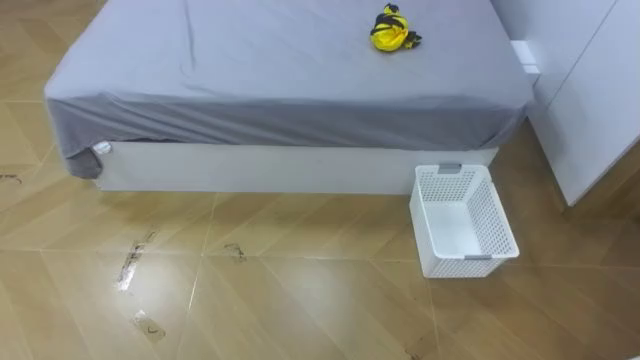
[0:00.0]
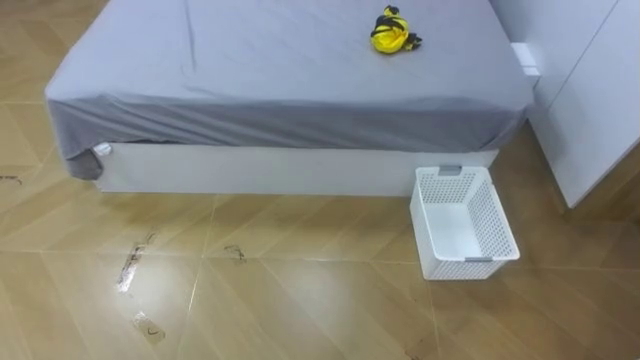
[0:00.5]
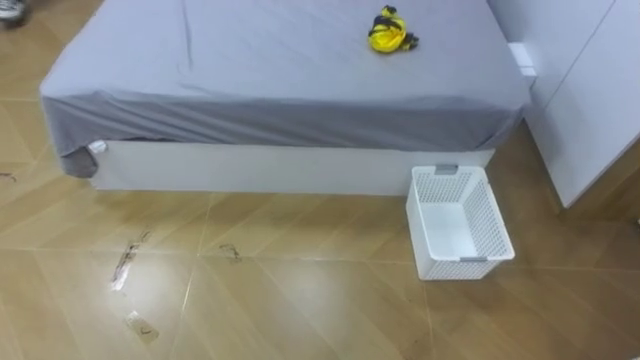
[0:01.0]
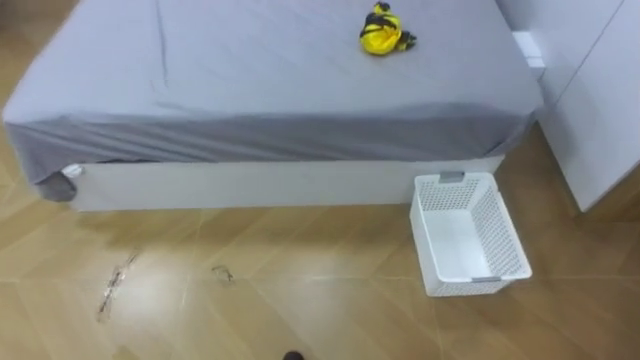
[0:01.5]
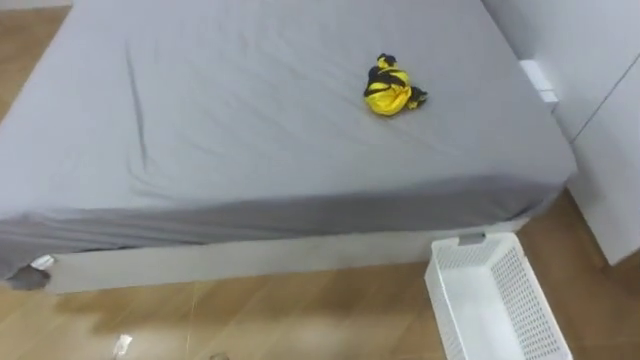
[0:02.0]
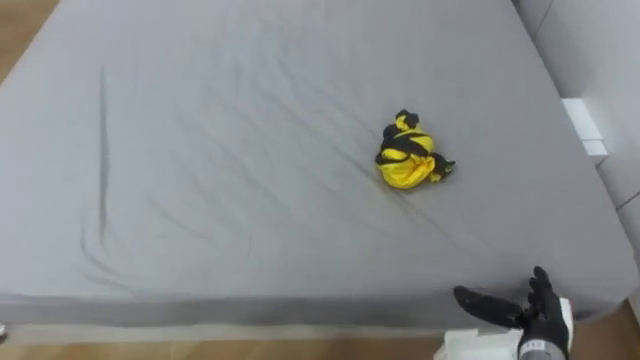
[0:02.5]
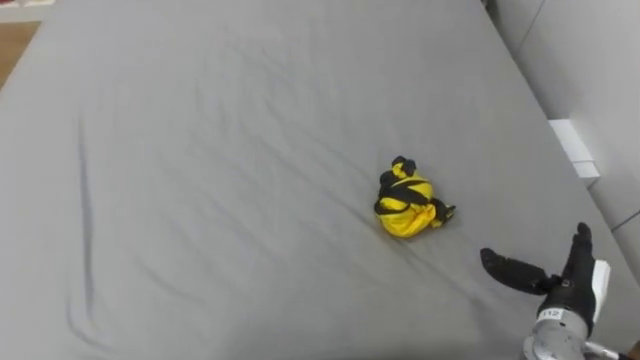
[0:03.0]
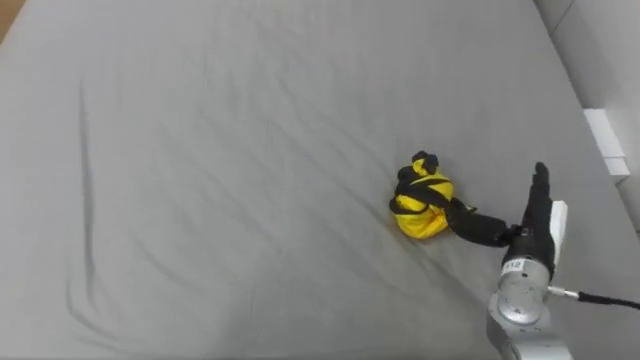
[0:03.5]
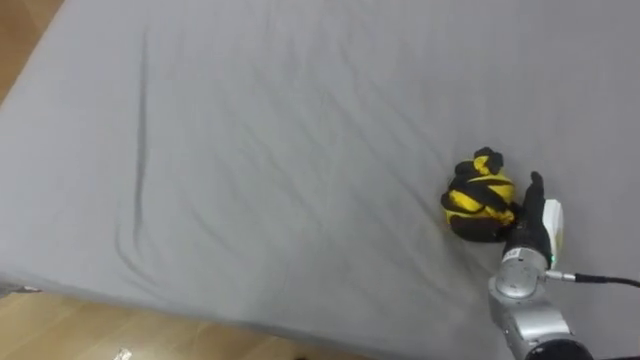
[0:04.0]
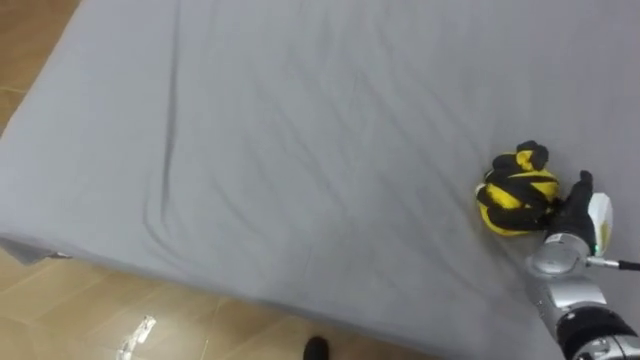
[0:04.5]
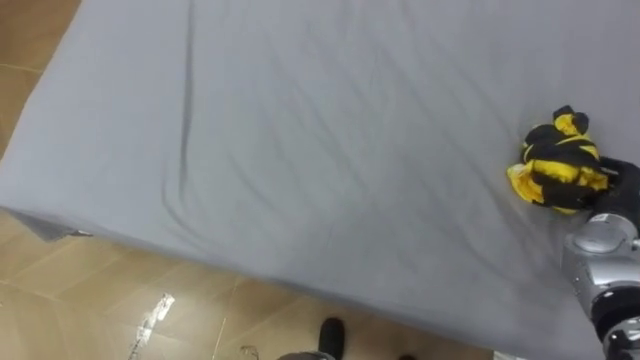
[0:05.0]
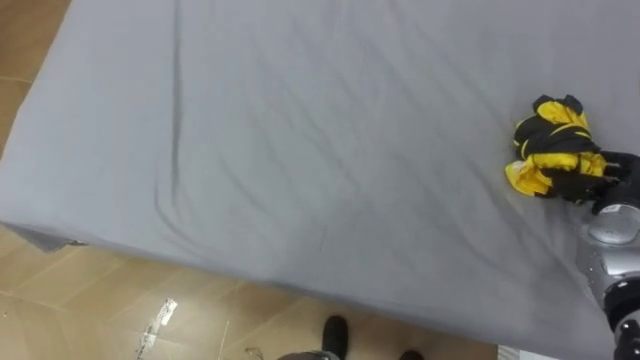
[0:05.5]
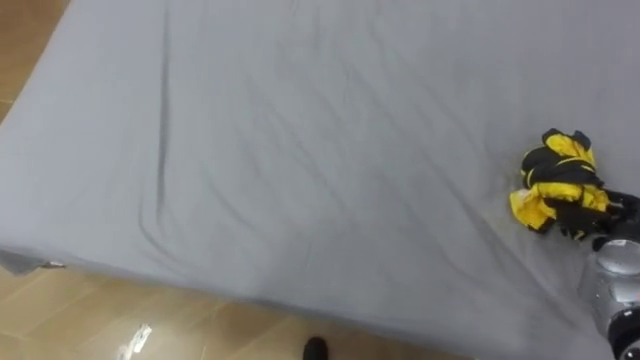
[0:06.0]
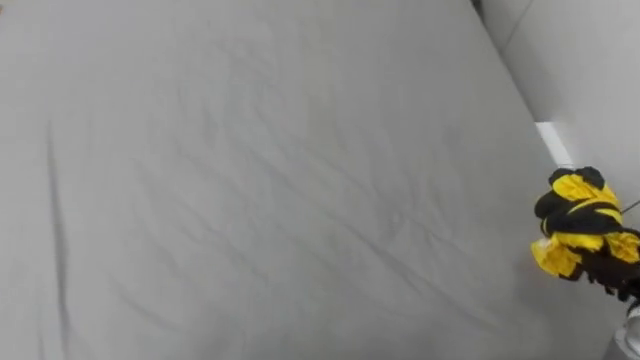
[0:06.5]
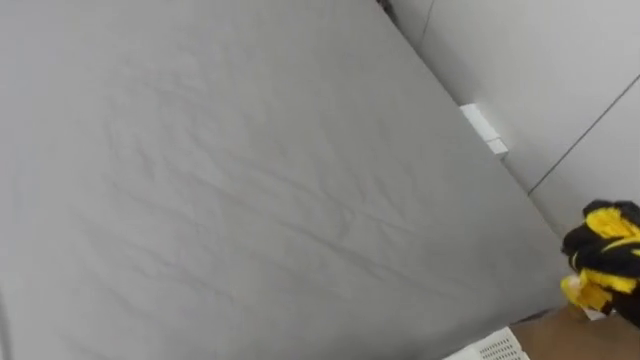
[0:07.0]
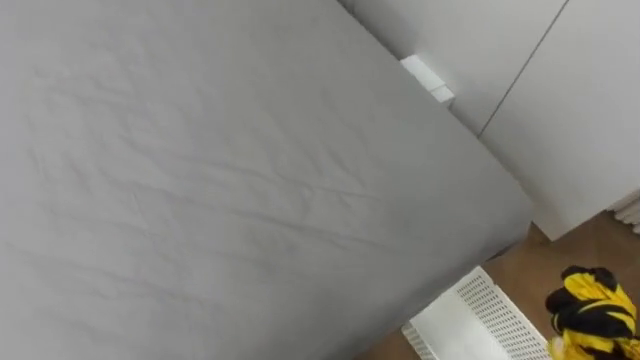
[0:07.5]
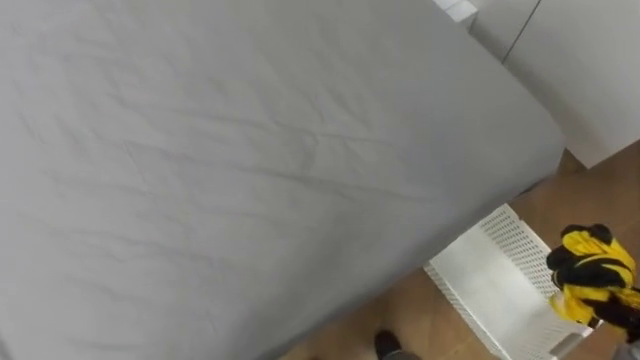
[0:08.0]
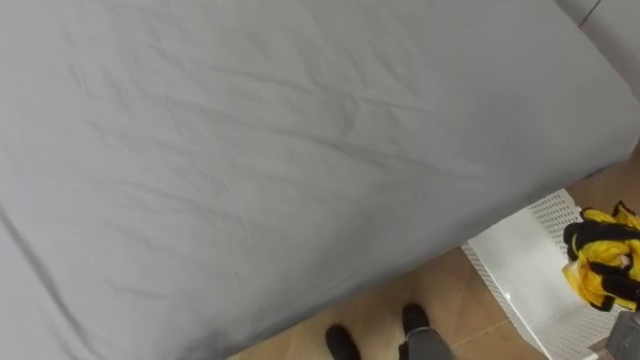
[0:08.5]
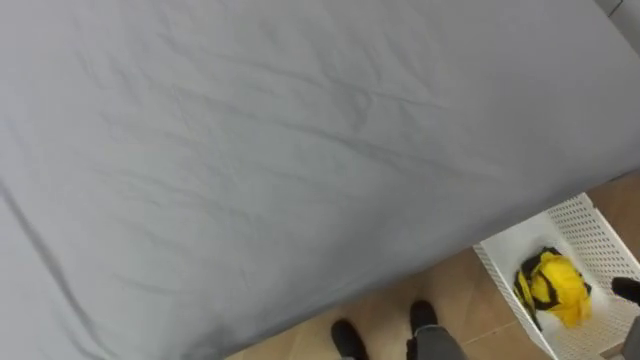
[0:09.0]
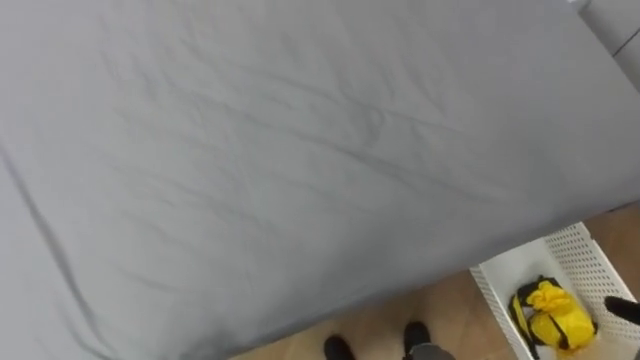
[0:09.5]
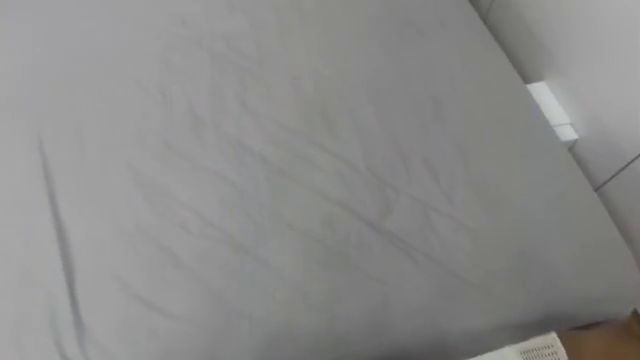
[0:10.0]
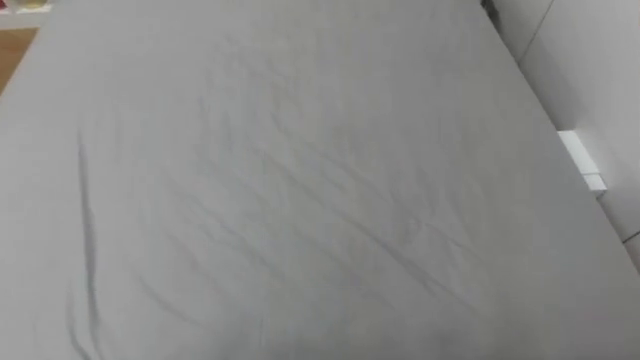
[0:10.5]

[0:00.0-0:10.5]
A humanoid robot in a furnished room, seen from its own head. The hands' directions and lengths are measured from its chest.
Task of the whole recording: Pick up the yellow clothes on the bed and place them into the white basket on the right.
0:08.5 to 0:10.5: The robot's body swings some 15 degrees to its left.

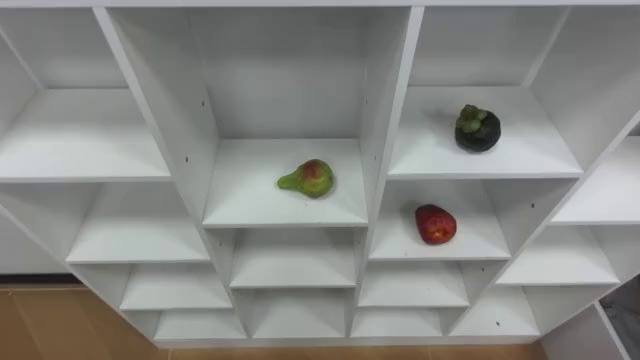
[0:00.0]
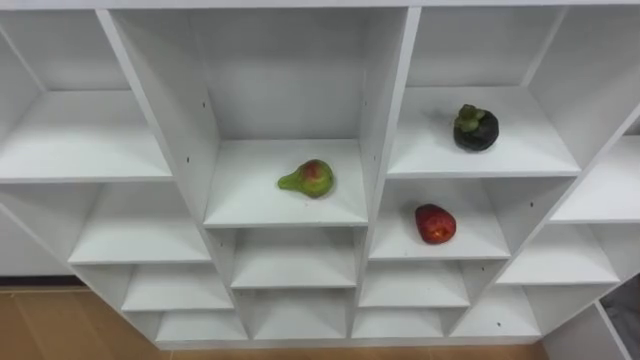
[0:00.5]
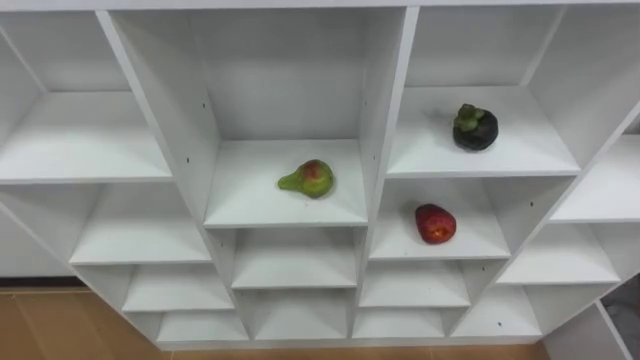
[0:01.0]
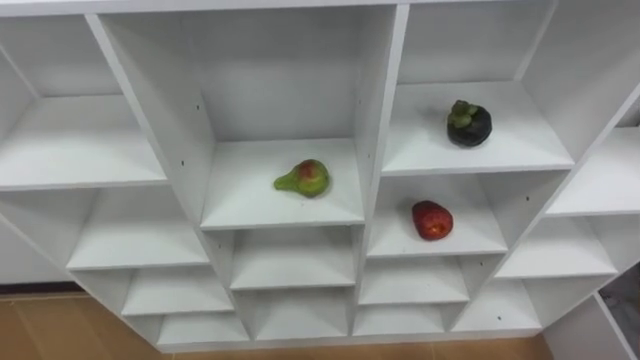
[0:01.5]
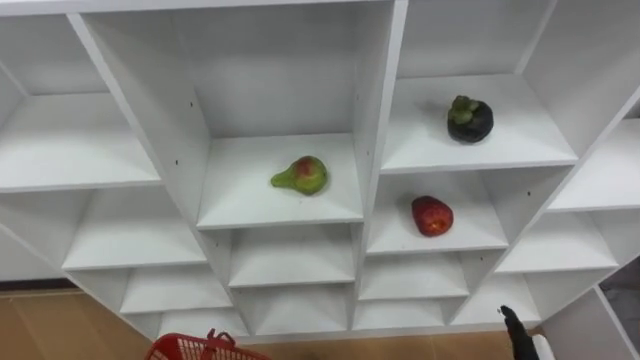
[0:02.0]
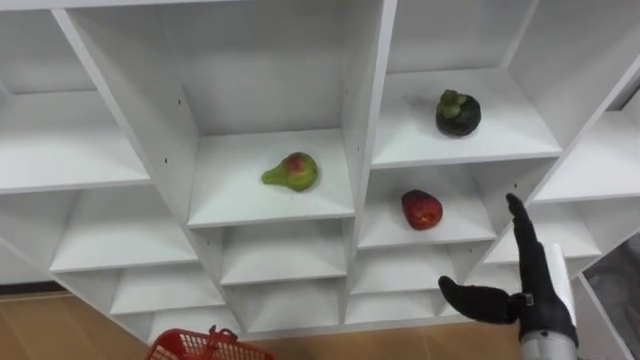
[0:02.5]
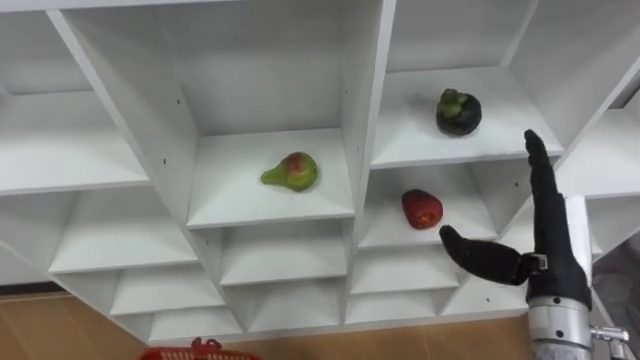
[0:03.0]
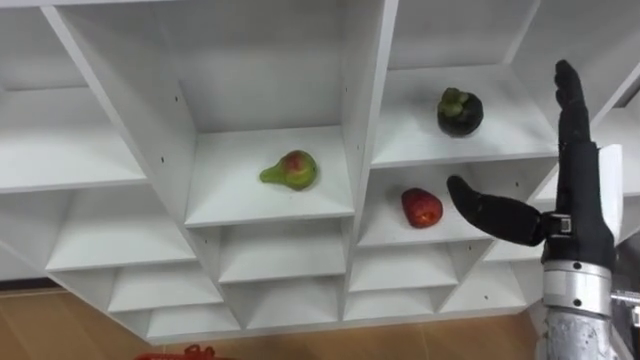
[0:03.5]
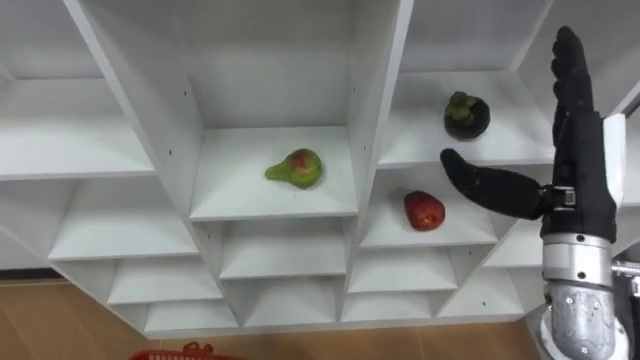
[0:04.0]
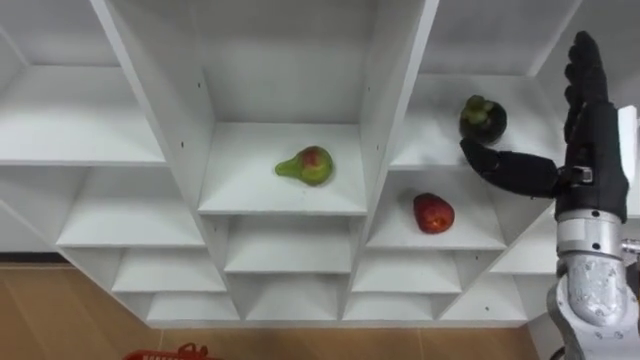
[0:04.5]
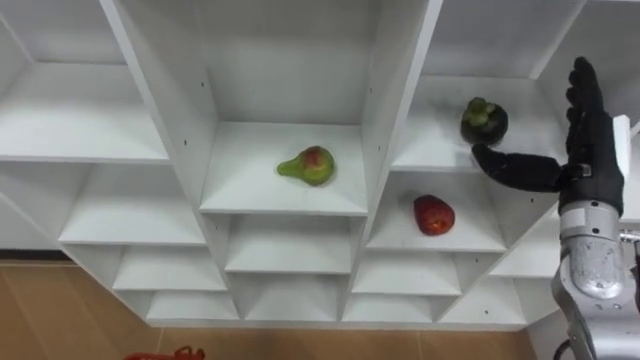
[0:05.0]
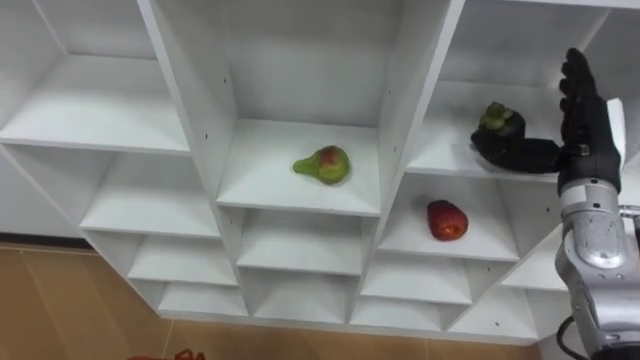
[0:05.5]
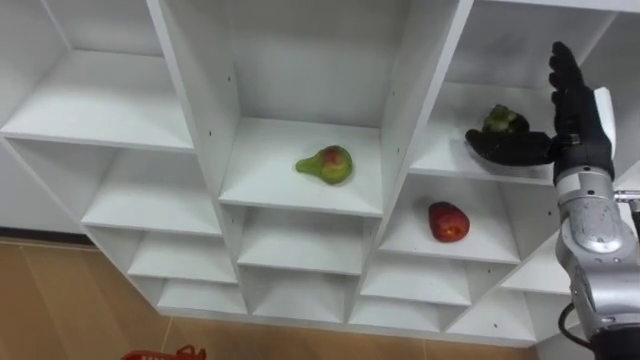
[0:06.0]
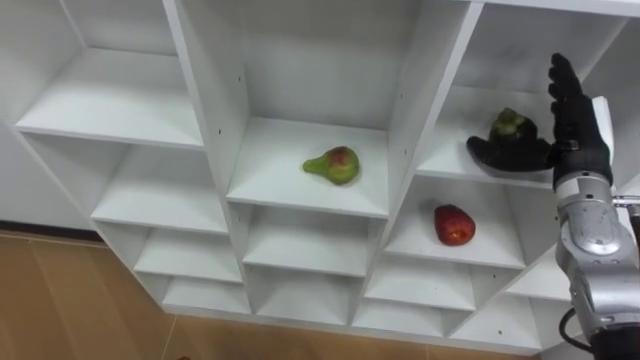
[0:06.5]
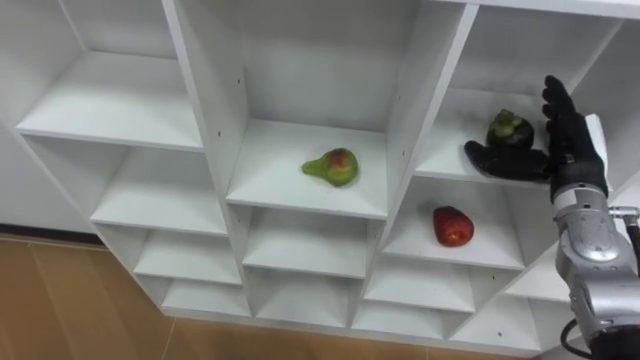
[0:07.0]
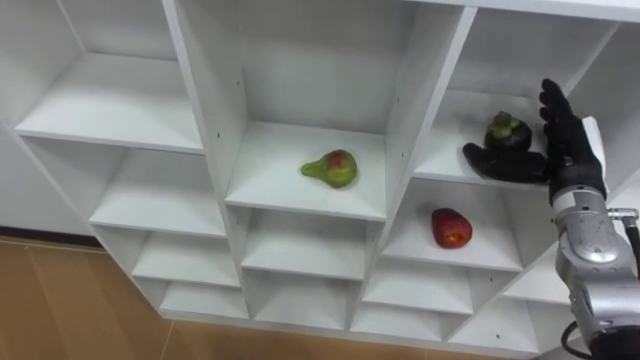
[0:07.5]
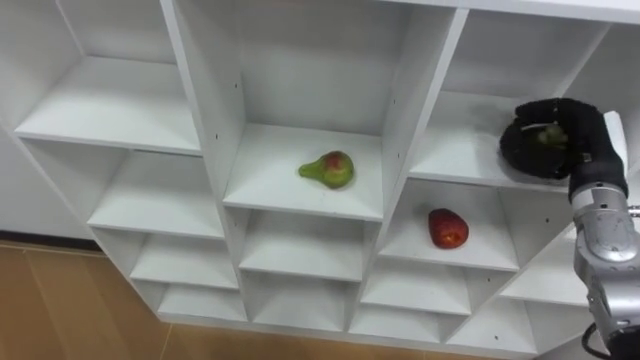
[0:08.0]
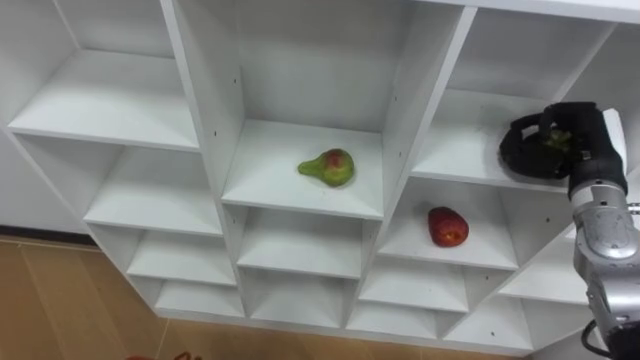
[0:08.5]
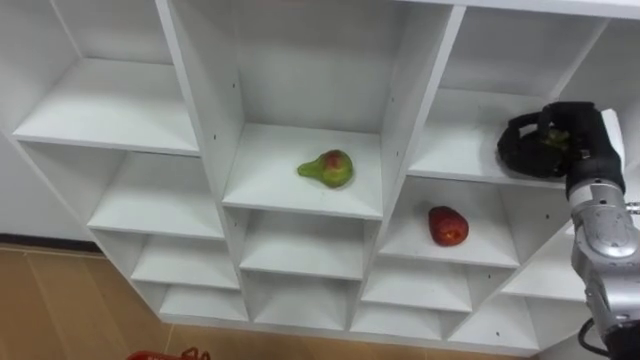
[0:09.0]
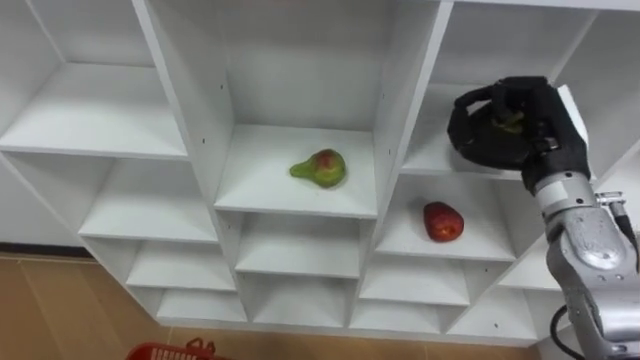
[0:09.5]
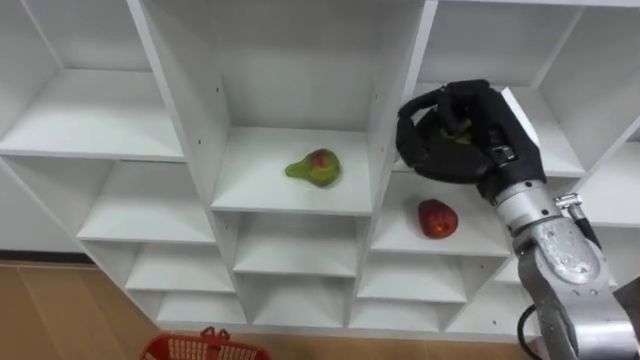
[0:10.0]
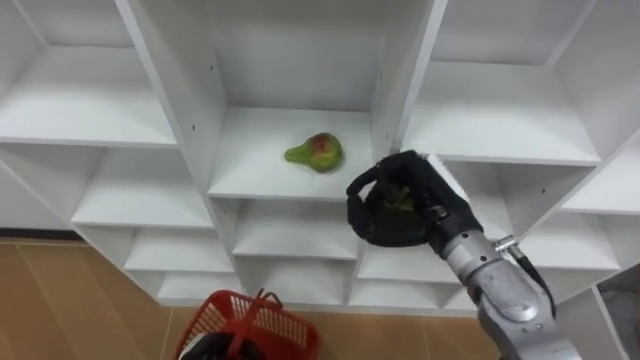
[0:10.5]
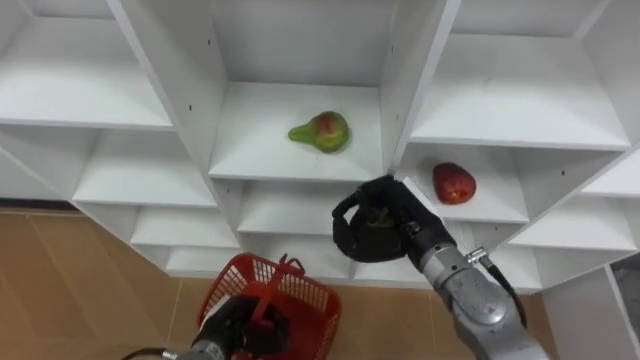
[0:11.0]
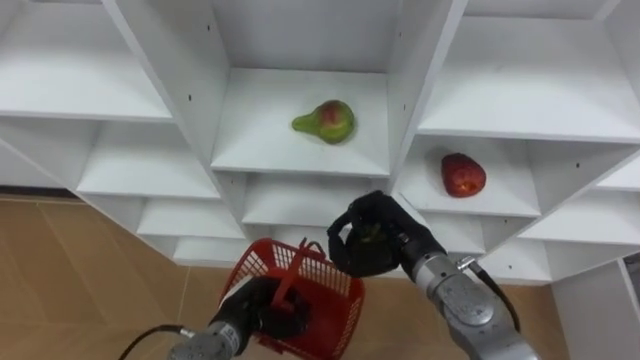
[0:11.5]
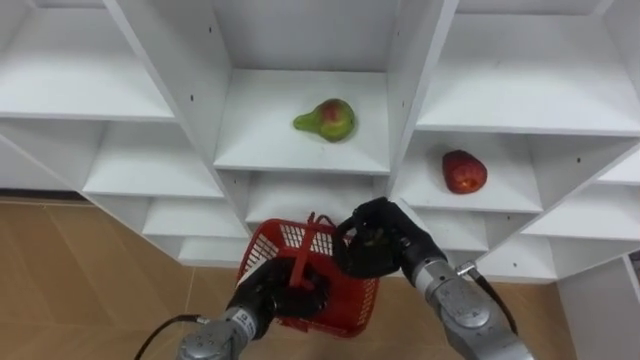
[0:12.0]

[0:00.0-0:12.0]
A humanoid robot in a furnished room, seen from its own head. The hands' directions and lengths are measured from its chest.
Task of the whole recording: Hold the basket and collect the fruits from 3 different cells of the closet into it.
0:04.0 to 0:06.0: The right hand heads forward and to the right, covering some 10 cm.
0:06.0 to 0:08.0: The right hand closes.
0:08.0 to 0:10.0: The right hand goes roughly 15 cm to the left and upward.
0:10.0 to 0:12.0: The right hand travels downward and to the left by some 15 cm.
